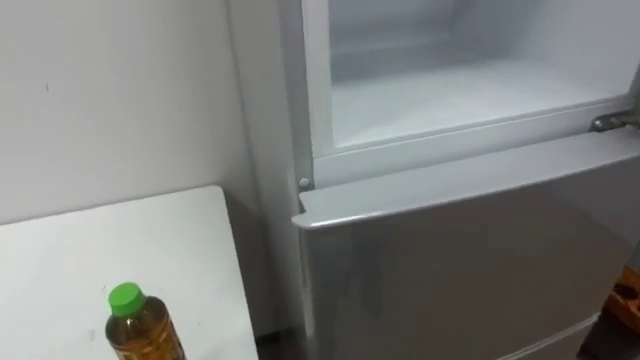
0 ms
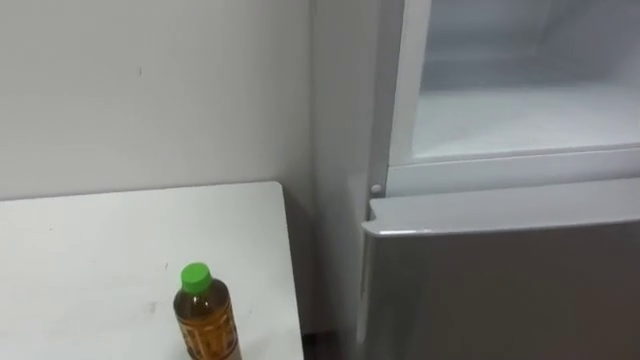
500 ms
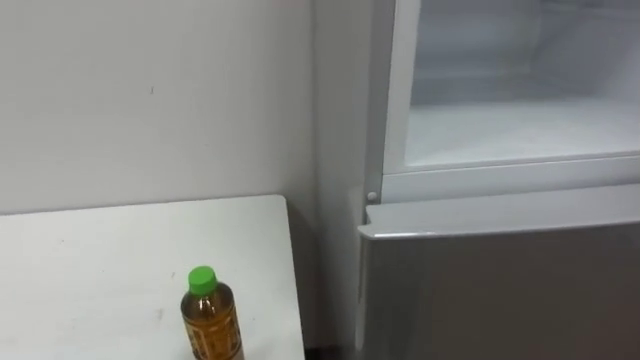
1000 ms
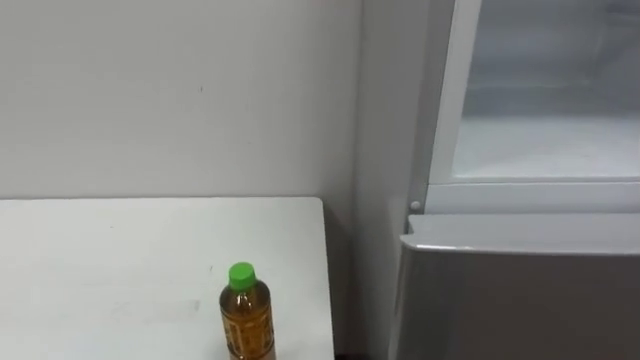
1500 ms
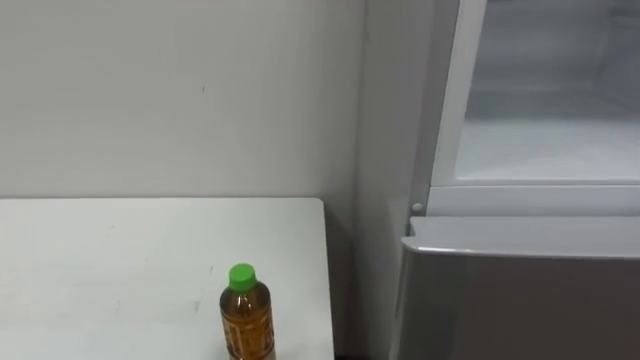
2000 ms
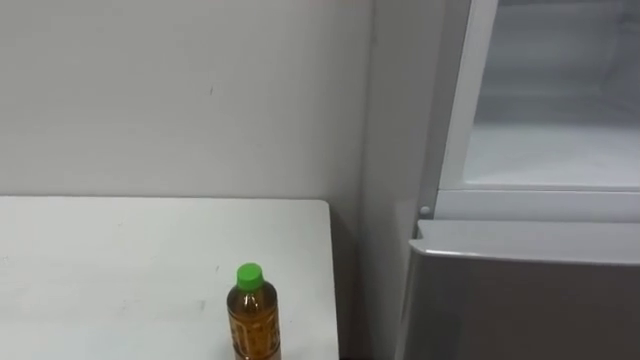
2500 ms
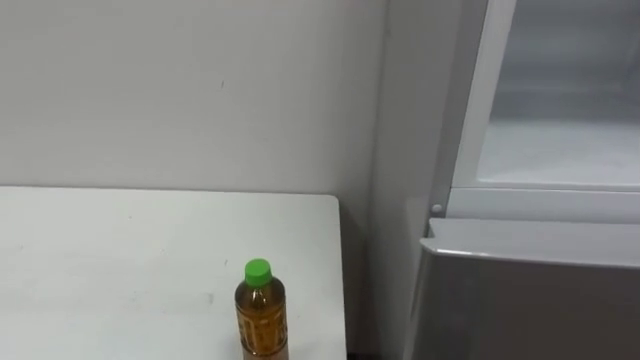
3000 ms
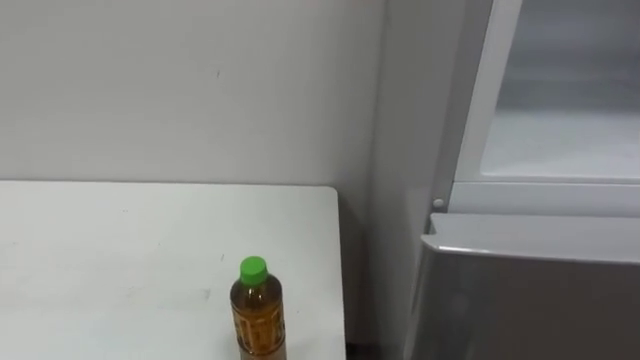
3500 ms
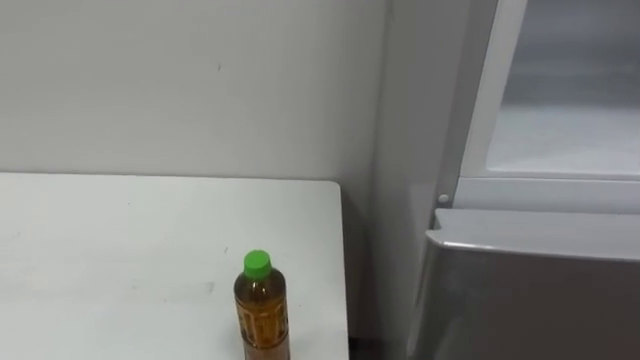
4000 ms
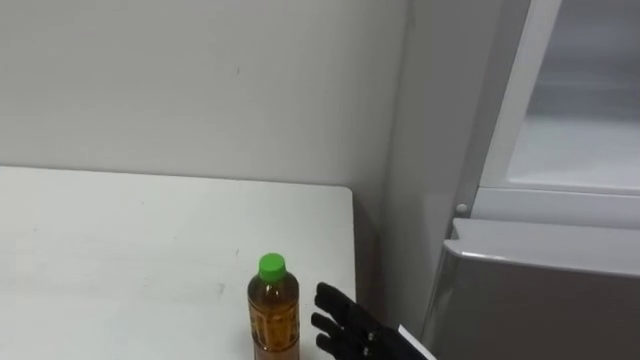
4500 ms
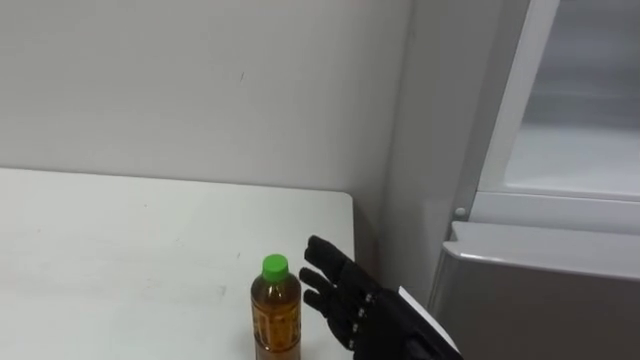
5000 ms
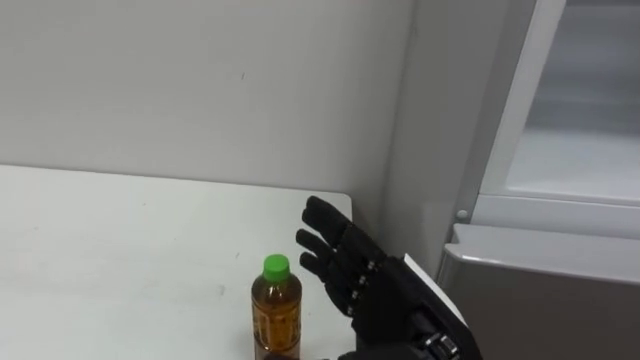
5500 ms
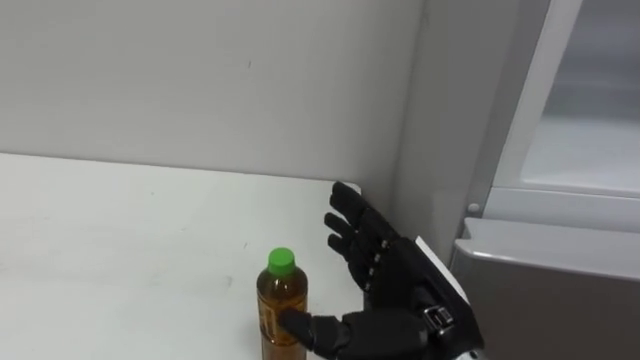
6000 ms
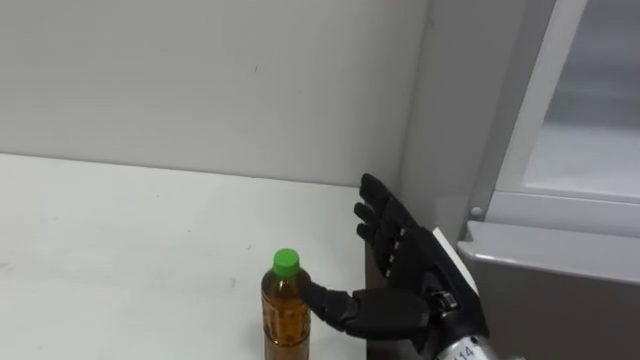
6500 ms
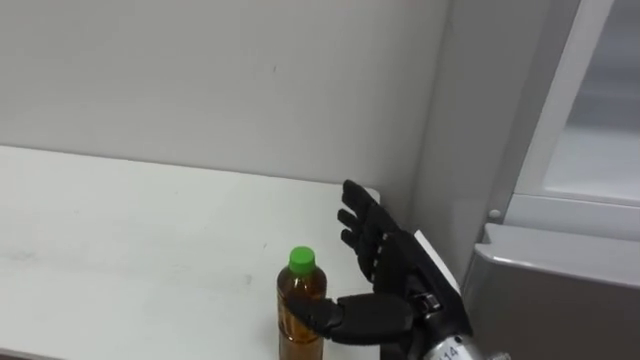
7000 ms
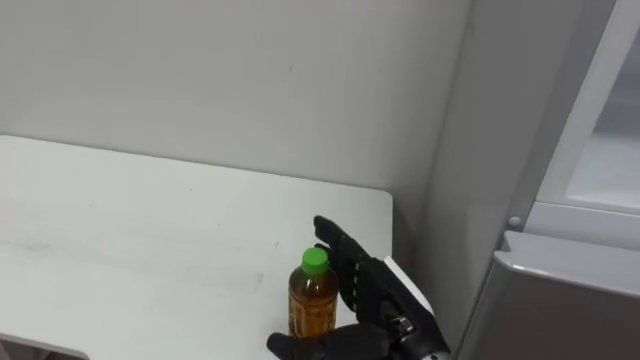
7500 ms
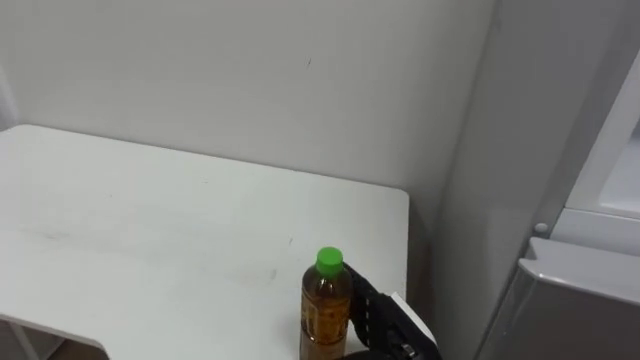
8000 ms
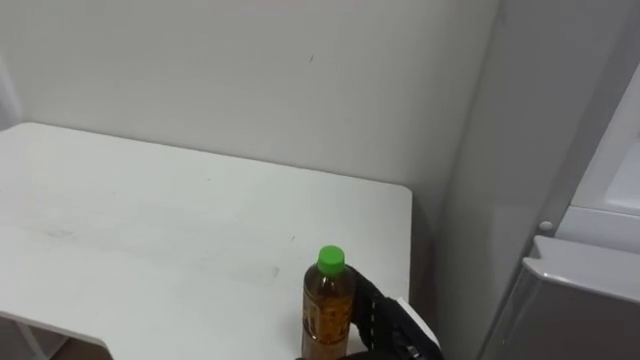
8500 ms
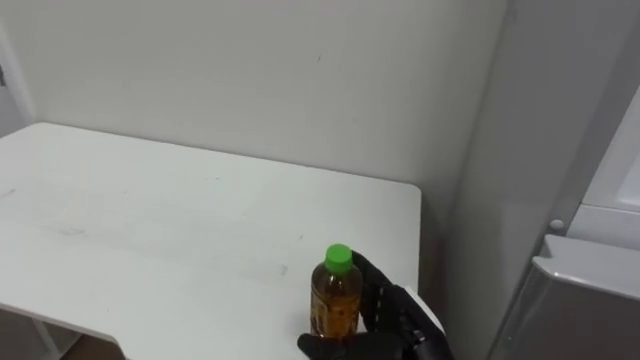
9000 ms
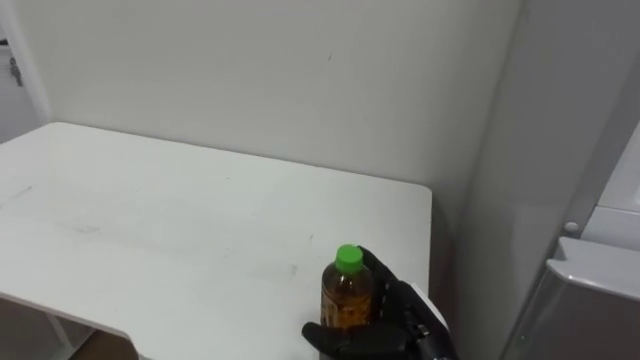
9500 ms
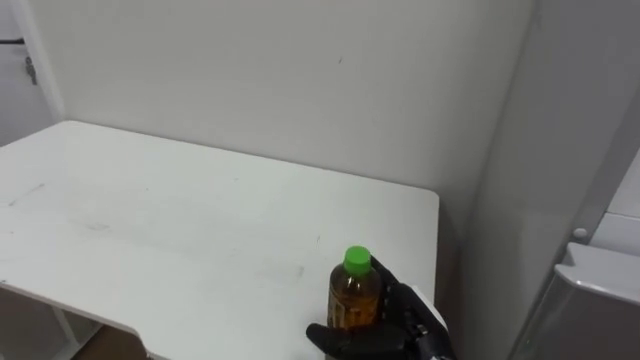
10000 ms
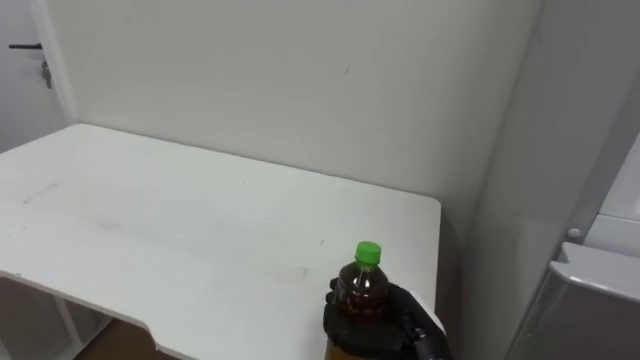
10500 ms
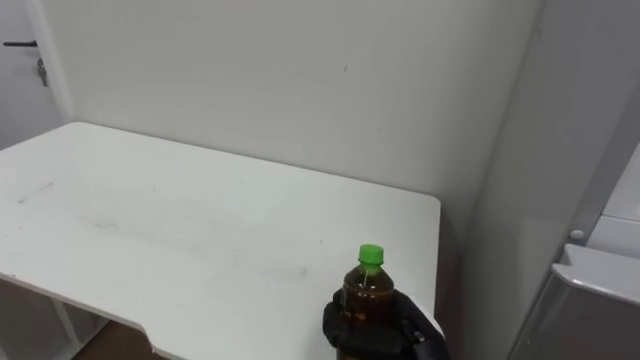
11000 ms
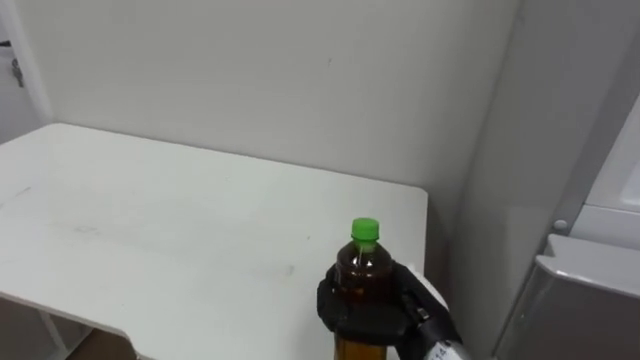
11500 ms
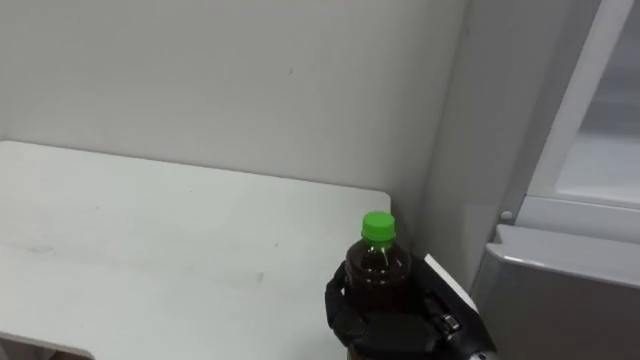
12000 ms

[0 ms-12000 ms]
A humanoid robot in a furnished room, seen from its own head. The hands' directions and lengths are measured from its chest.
Task of the whole recording: Open the upper refrigerator door, put the drink from the table into the refrigerator, and then close the refrigerator door.
6000 ms to 8000 ms: The right hand moves downward, about 10 cm.
10000 ms to 12000 ms: The right hand is displaced upward by some 5 cm, and closes up.

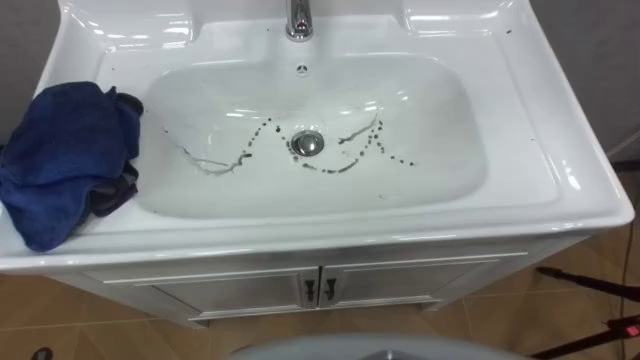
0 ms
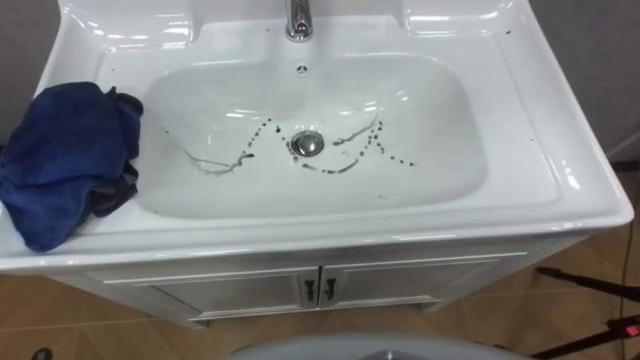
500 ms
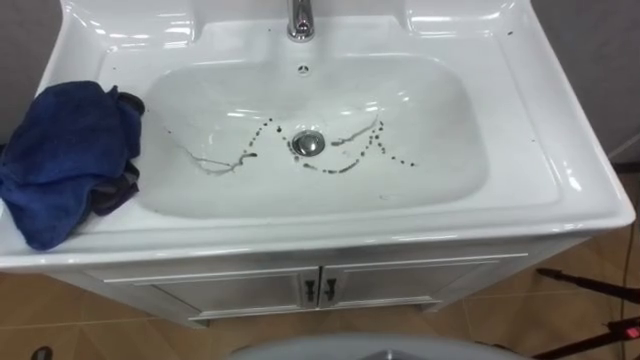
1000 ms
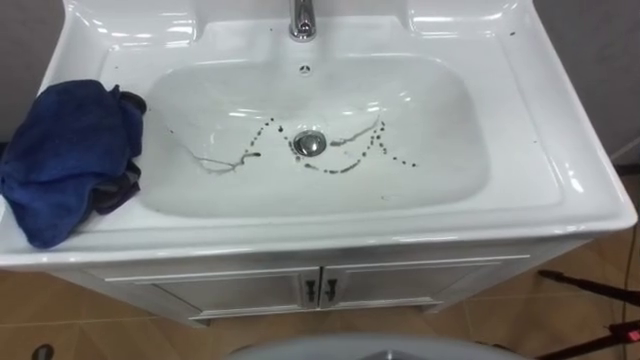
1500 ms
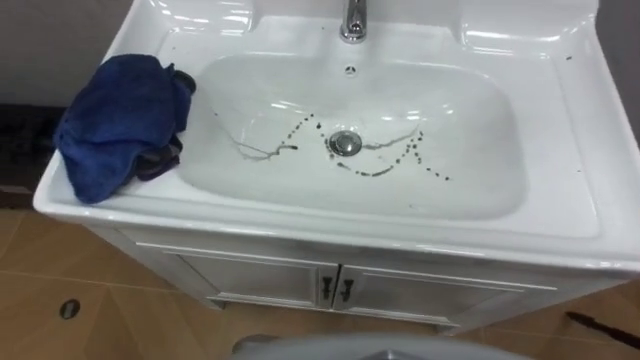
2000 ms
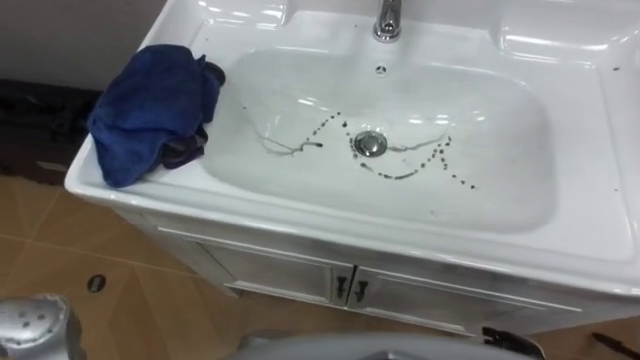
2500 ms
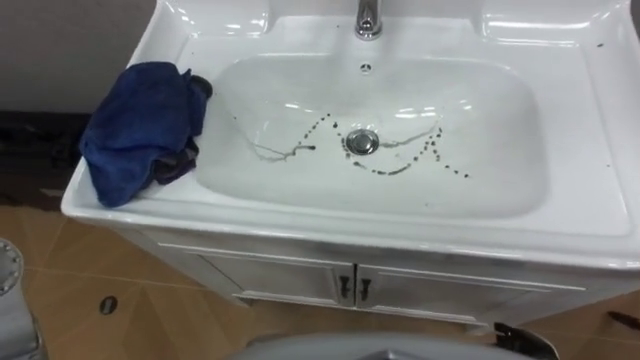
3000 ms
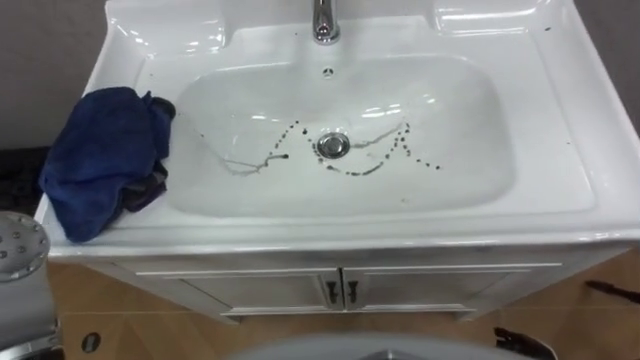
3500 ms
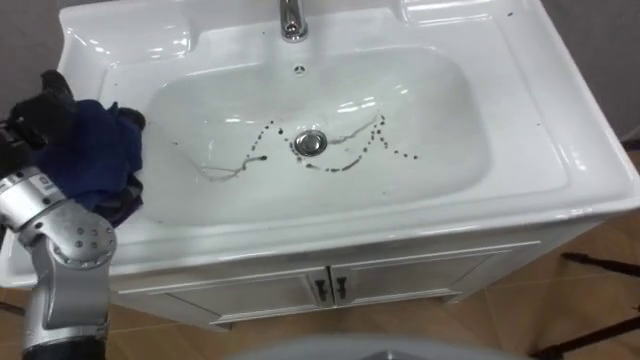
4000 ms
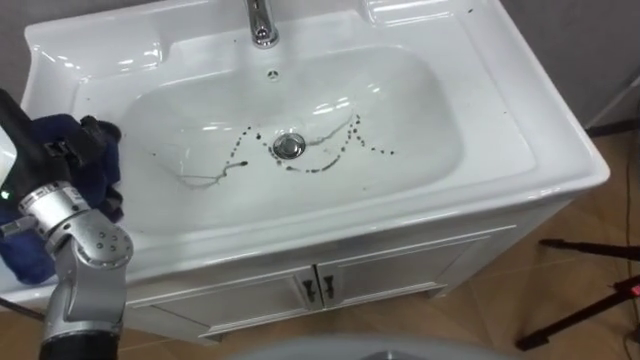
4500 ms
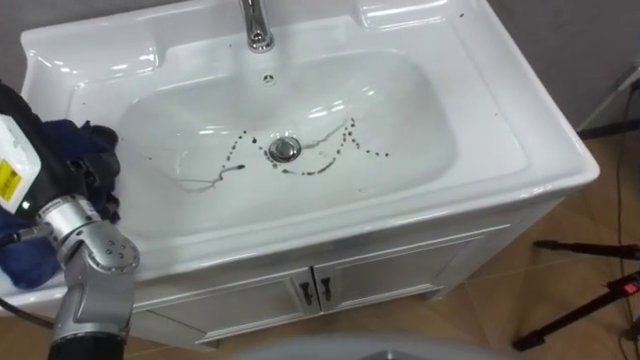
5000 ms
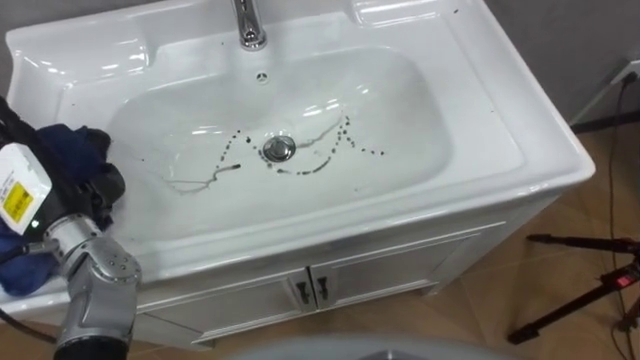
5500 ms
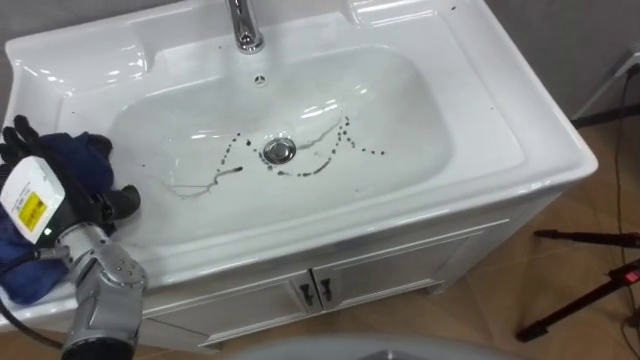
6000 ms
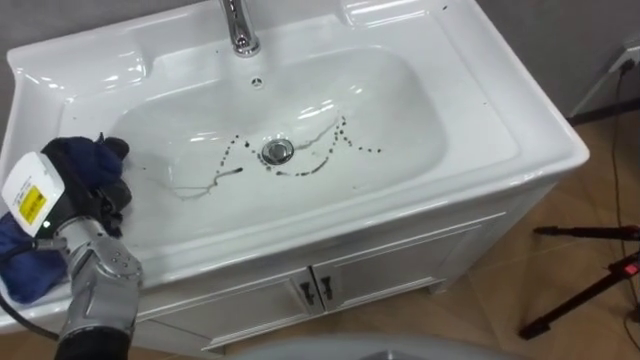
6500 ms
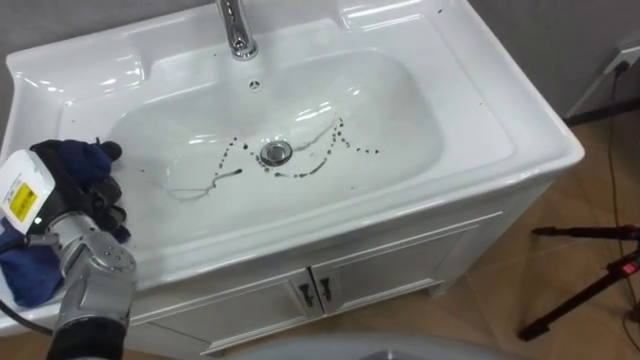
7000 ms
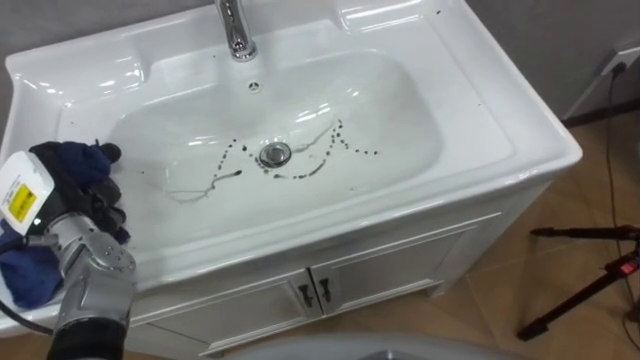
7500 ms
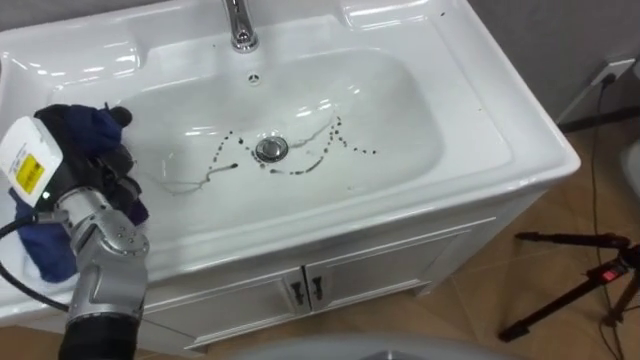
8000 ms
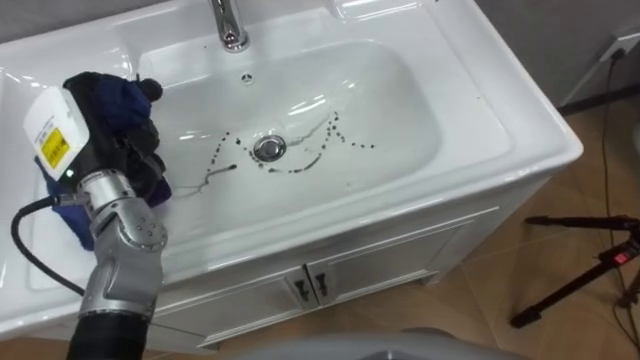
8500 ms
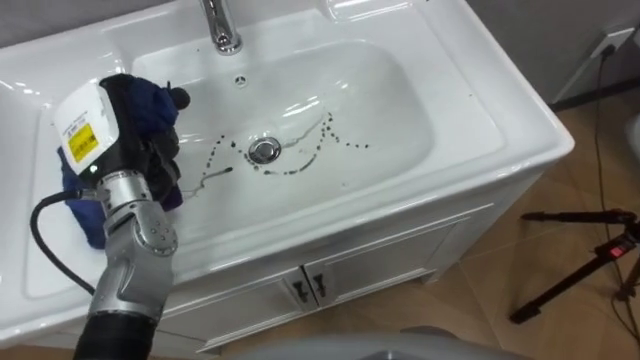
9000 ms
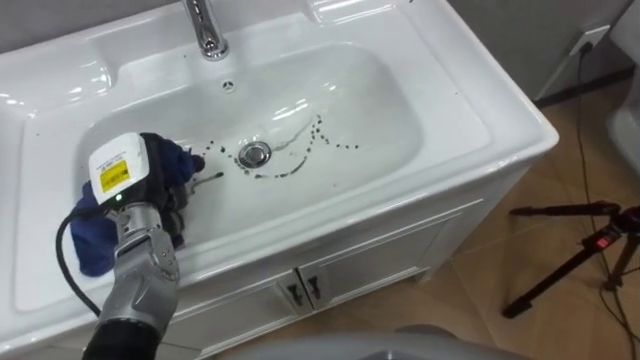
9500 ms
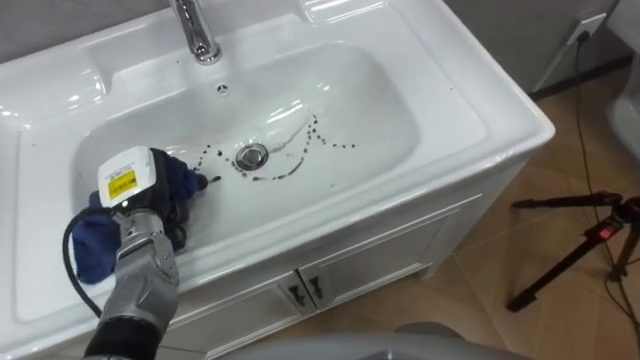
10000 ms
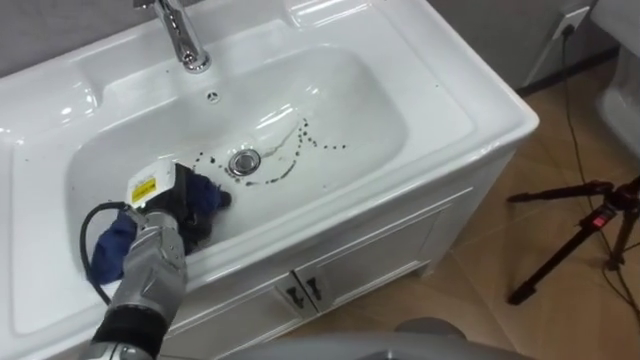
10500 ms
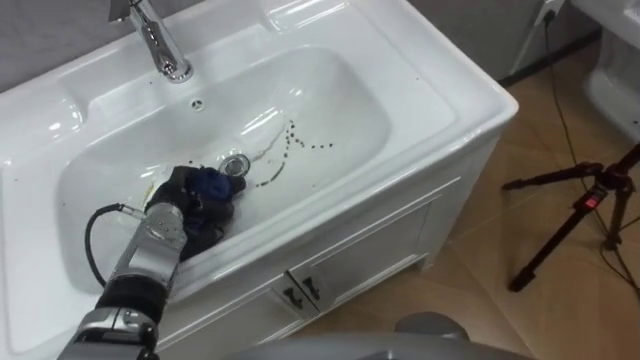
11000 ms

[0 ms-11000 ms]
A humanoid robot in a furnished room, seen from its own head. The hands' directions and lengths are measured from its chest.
Task of the whole recording: Use the cloth on the right to wipe away the black stain in the sink.
5500 ms to 7500 ms: The left hand closes.
7500 ms to 9000 ms: The left hand is displaced to the right, upward and forward by approximately 10 cm.
9000 ms to 11000 ms: The left hand shifts about 15 cm downward.
